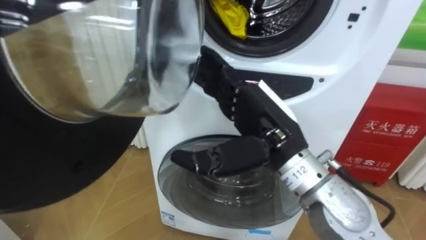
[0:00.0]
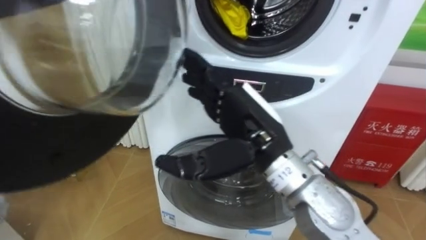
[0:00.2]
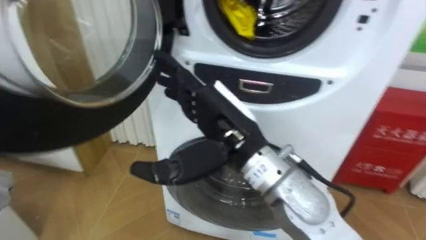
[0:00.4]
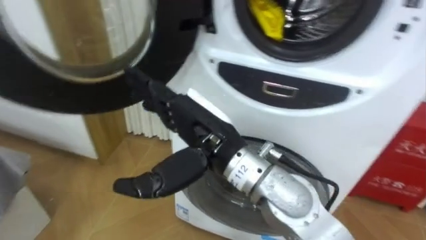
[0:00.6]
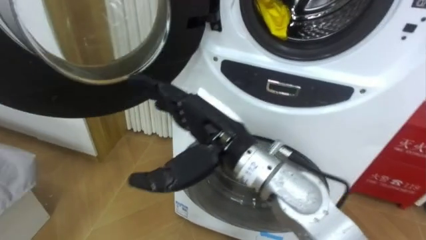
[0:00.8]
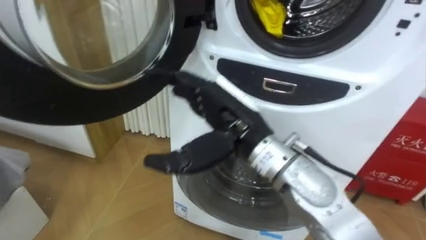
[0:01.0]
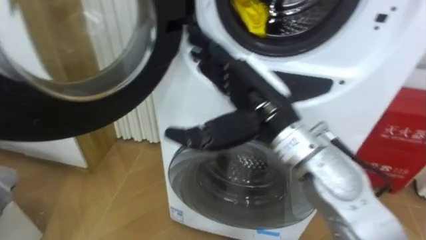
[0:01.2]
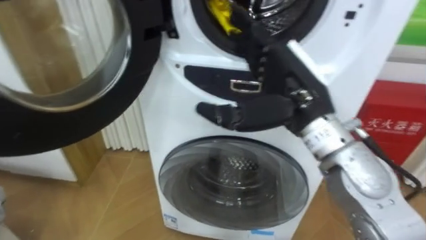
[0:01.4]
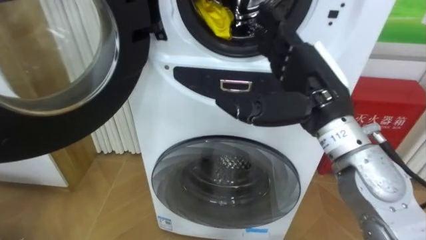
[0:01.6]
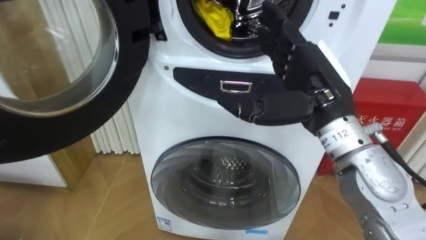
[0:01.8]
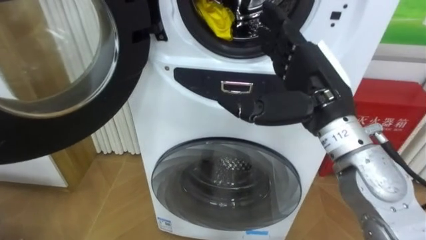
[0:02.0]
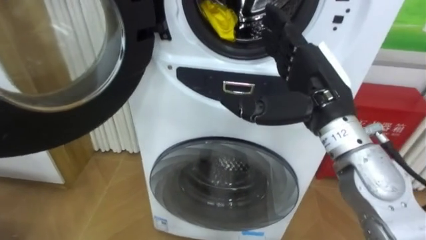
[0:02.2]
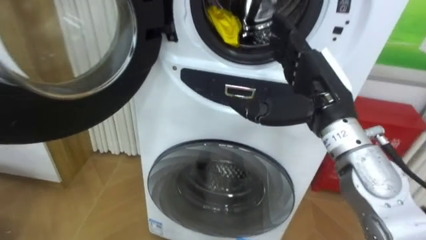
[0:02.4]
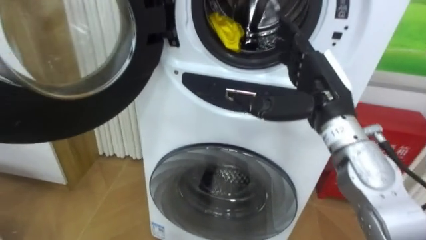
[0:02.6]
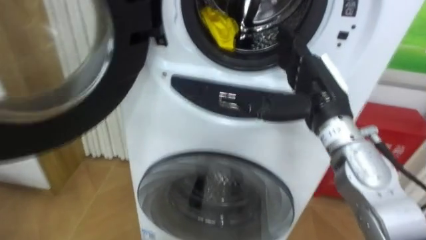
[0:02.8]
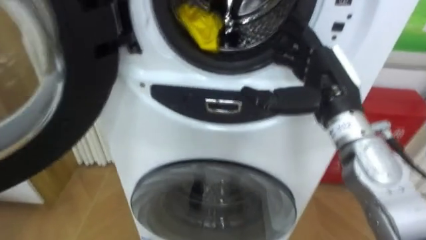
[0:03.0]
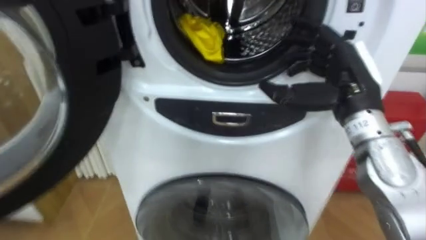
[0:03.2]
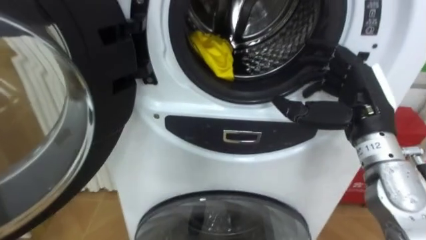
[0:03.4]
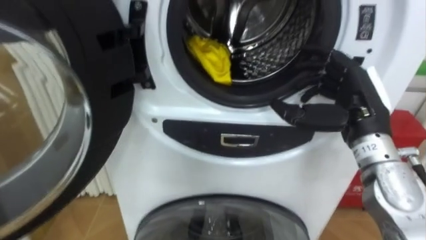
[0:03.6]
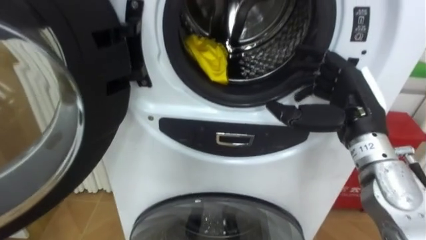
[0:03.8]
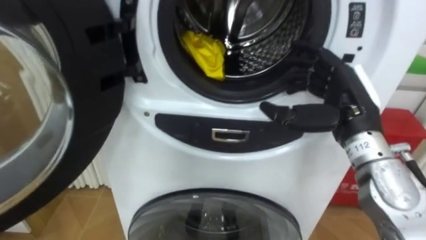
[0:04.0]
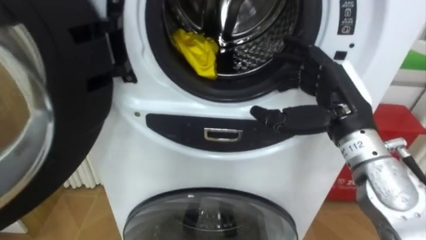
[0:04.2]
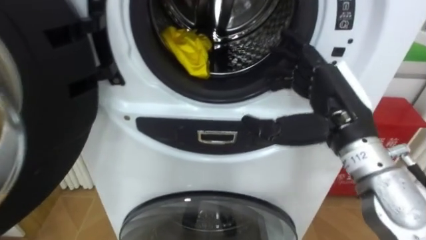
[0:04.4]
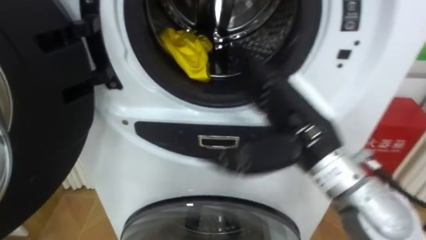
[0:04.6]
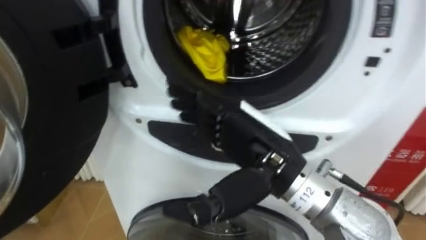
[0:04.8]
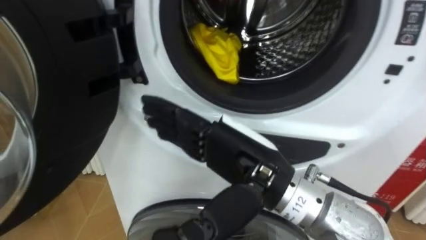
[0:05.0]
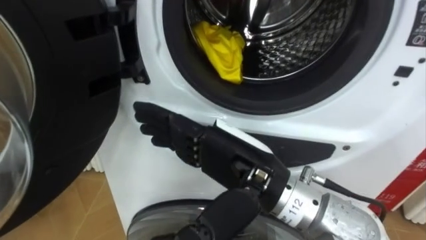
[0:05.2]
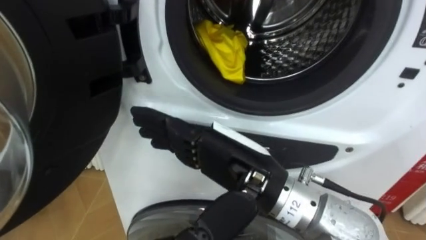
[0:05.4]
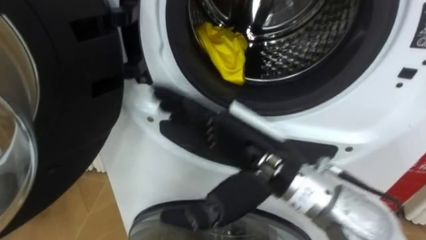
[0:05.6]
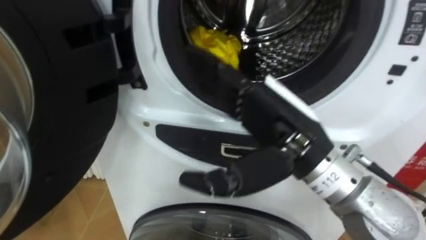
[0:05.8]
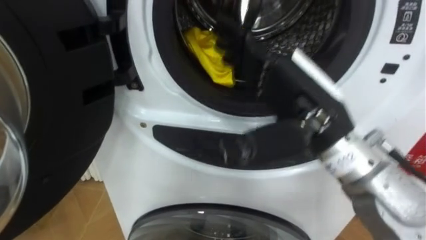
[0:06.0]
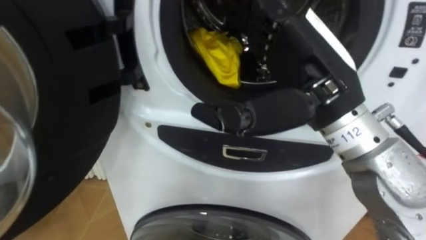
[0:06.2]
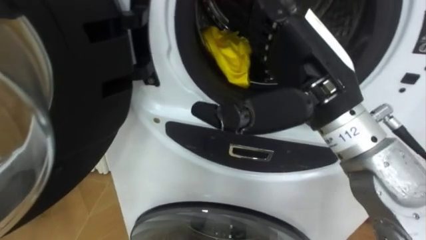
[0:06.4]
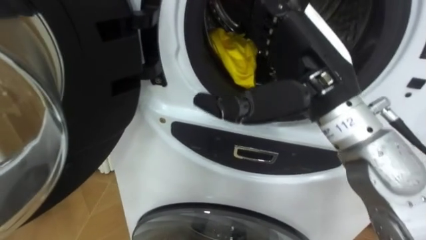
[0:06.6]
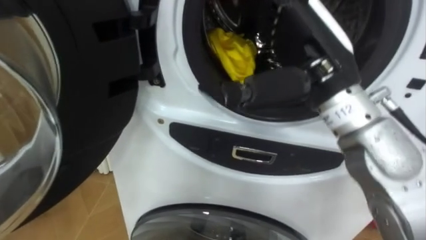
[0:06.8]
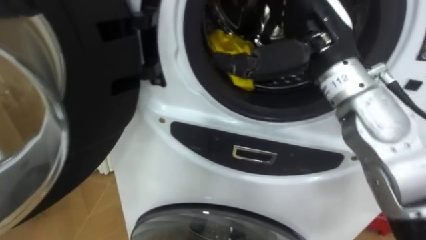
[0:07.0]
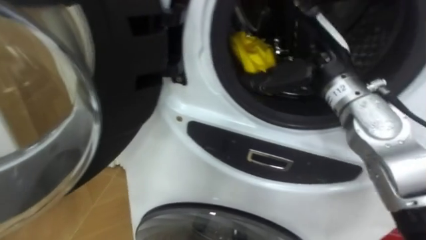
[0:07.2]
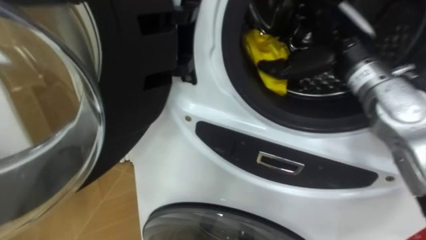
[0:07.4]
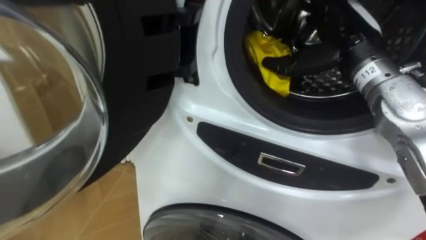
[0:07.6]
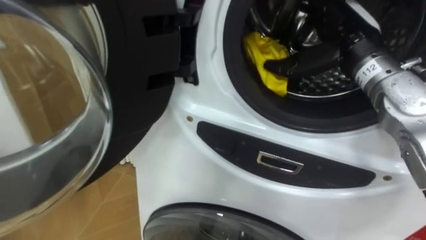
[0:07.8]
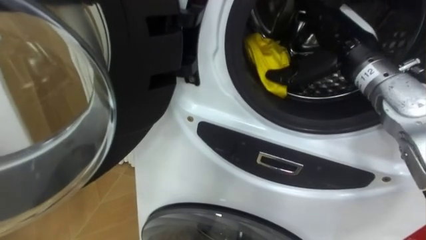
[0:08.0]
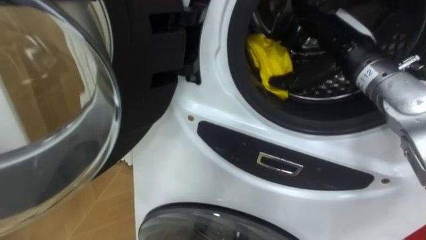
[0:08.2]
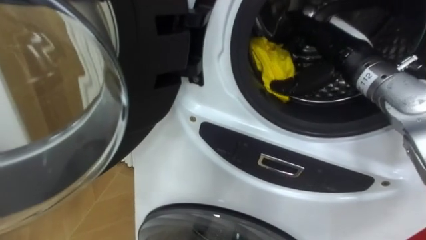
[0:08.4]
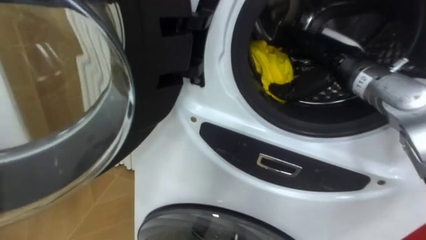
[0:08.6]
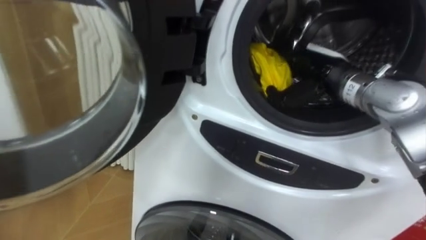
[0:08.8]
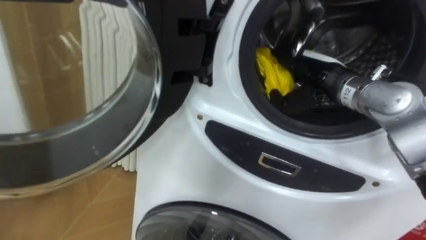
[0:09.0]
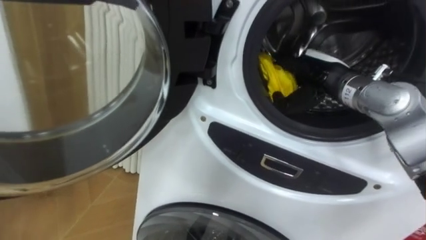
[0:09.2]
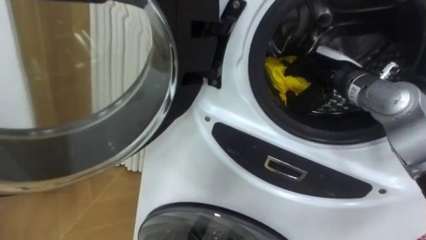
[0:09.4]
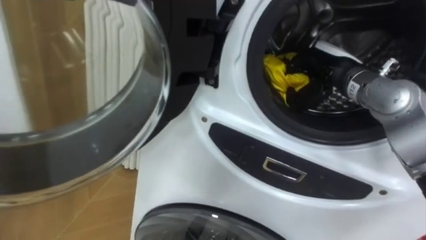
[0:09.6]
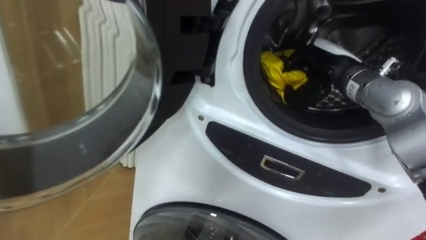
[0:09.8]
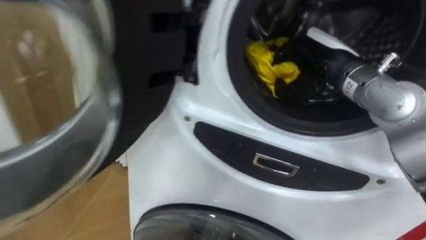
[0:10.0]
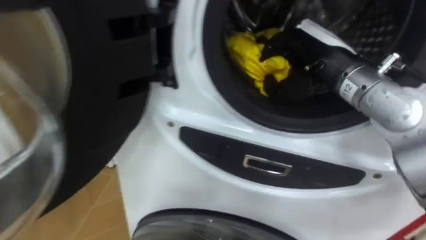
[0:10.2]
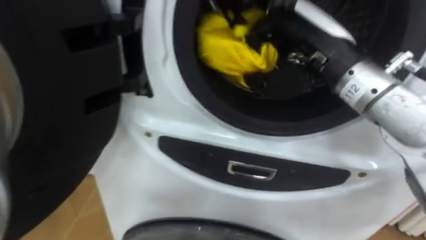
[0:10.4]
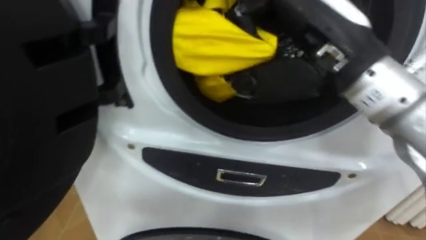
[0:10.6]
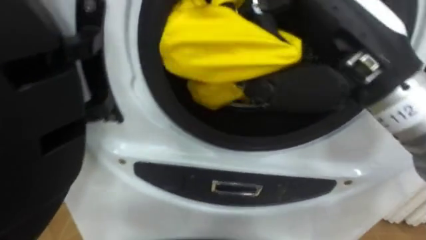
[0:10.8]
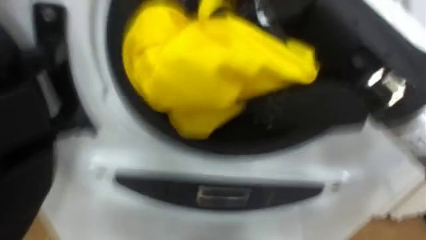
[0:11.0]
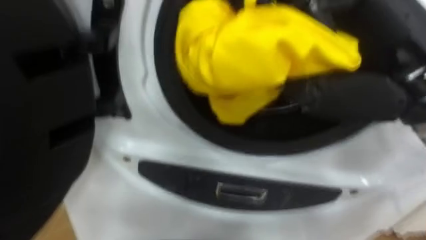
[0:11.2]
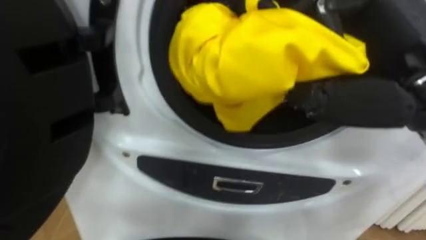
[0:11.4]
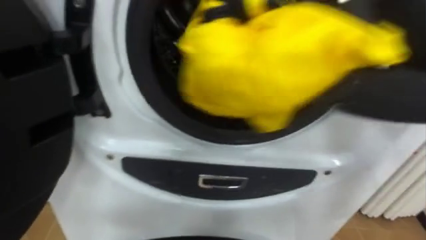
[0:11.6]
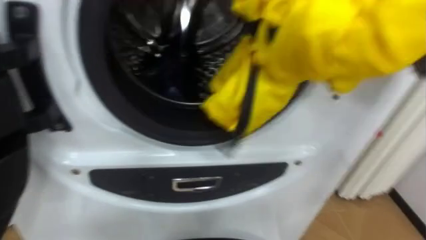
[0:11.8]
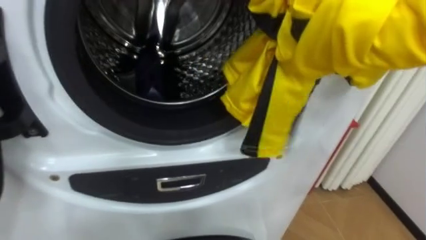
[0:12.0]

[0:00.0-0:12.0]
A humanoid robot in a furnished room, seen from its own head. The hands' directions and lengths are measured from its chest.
Task of the whole recording: Open the washing machine door, take out the yellow clothes, place them in the box on the right, and close the washing machine door.
0.0 to 1.6 s: The right hand is displaced to the right by approximately 5 cm.
1.6 to 3.0 s: The right hand shifts by roughly 5 cm.
4.4 to 6.0 s: The right hand is displaced to the left by roughly 5 cm.
6.0 to 7.6 s: The right hand goes approximately 15 cm forward and to the right.
7.6 to 9.0 s: The right hand travels downward by roughly 10 cm.
9.0 to 10.4 s: The right hand travels upward, backward and to the left by approximately 15 cm, and closes.

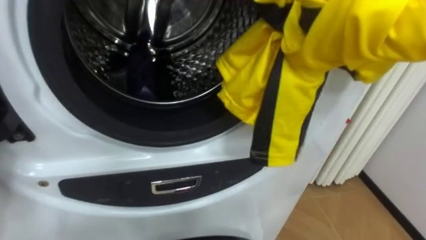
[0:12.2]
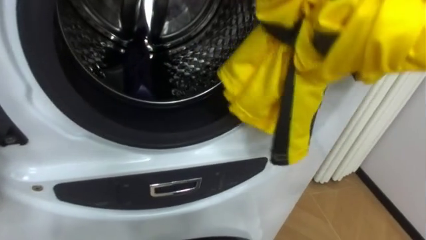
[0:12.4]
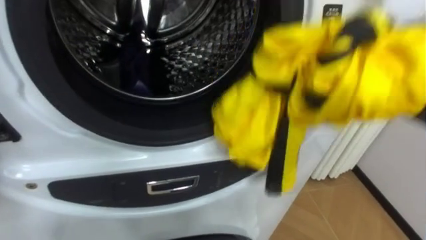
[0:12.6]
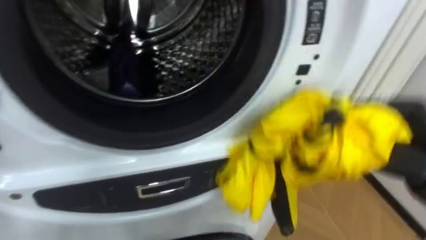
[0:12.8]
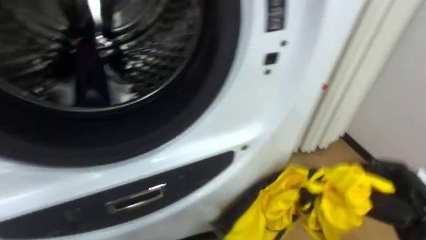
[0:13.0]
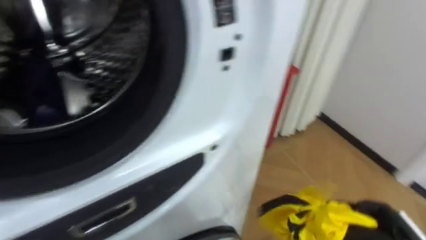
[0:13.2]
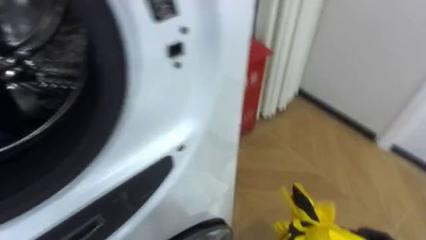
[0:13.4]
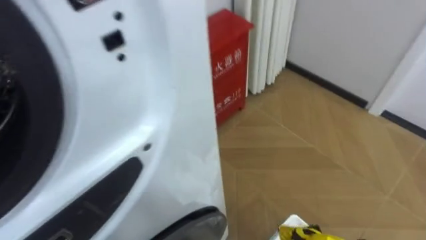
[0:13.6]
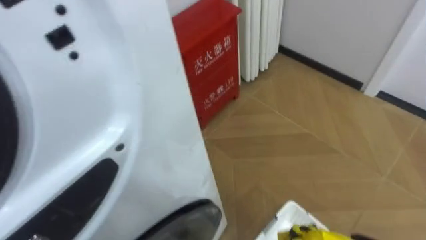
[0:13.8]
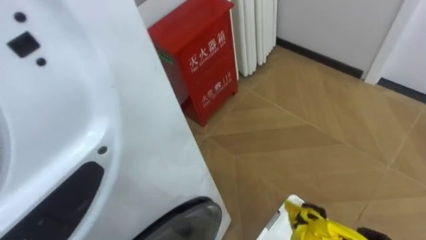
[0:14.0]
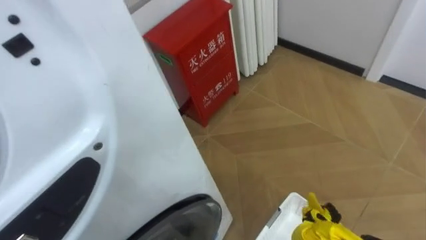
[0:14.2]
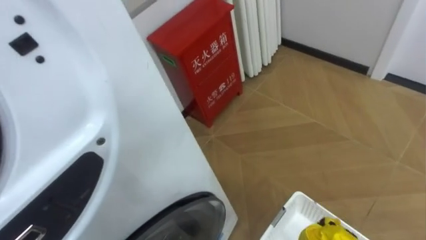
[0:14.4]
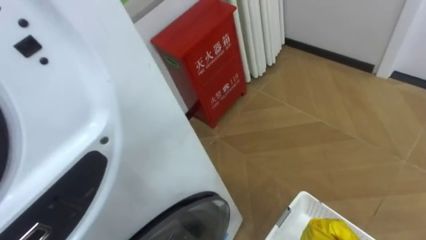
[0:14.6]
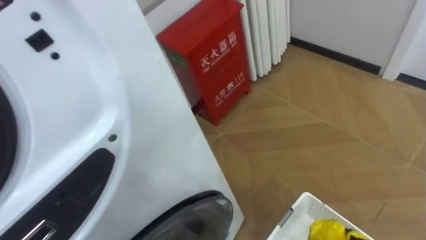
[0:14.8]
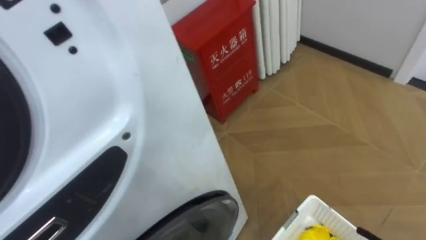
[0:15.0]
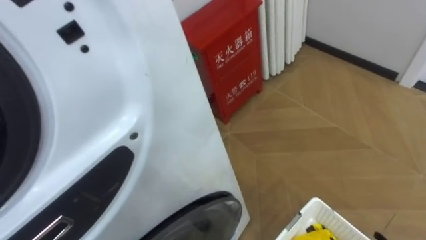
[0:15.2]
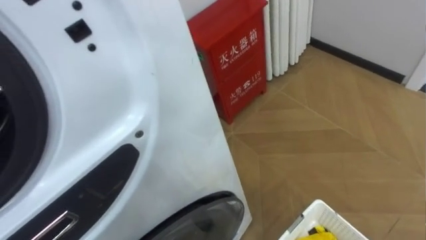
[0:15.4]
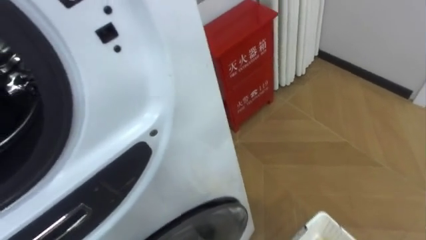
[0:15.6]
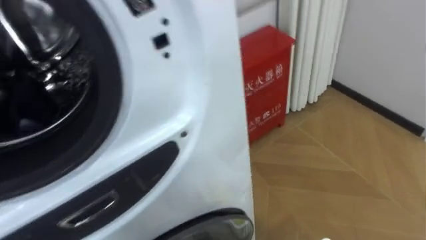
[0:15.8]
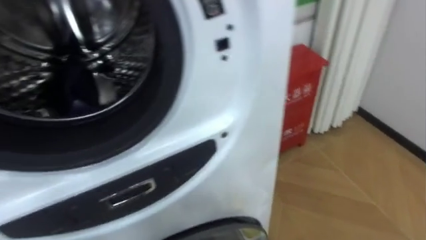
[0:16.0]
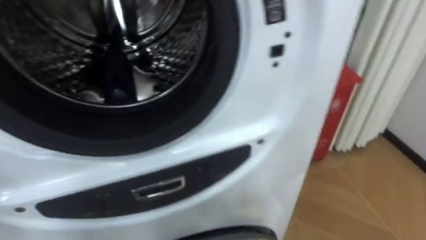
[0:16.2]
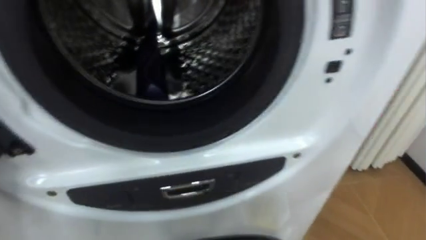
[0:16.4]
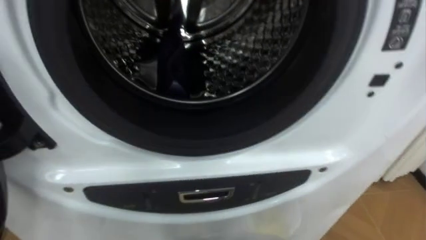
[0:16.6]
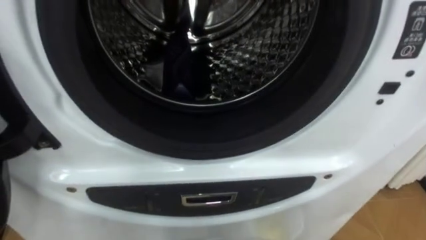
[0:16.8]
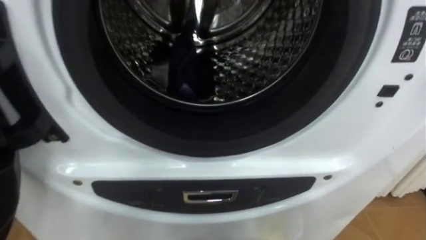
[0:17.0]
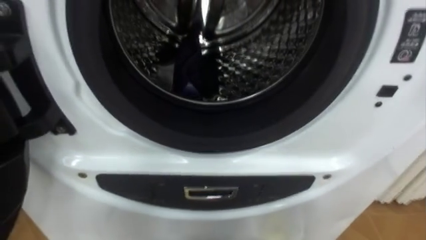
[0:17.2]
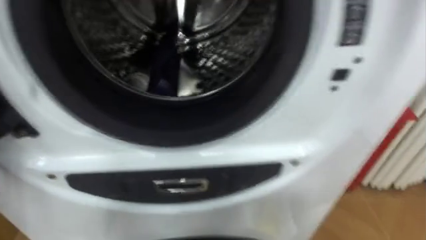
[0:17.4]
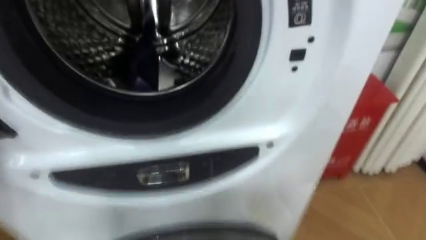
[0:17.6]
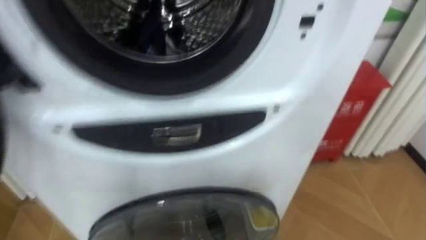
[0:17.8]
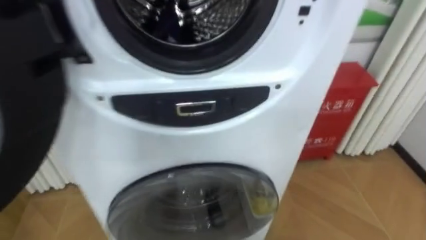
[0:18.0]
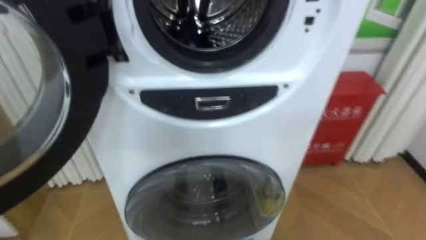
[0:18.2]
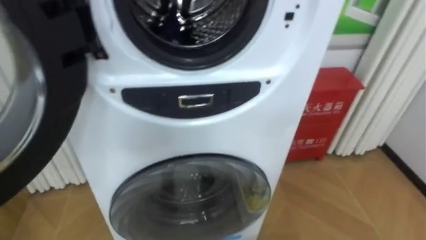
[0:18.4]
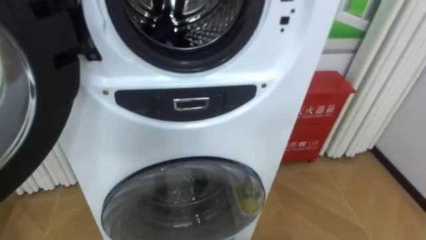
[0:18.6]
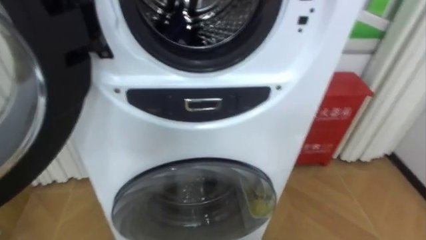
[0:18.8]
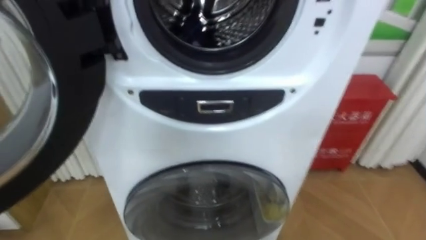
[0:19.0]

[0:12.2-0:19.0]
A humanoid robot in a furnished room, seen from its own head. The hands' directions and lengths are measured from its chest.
Task of the whole recording: Open the washing machine door, take out the yellow clothes, place them in the box on the right, and close the washing machine door.
12.2 to 13.6 s: The robot's body swings approximately 20 degrees to its right.
15.0 to 16.2 s: The robot turns to its left by roughly 15 degrees.
